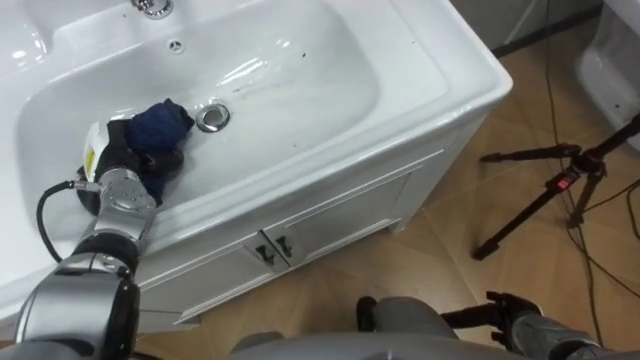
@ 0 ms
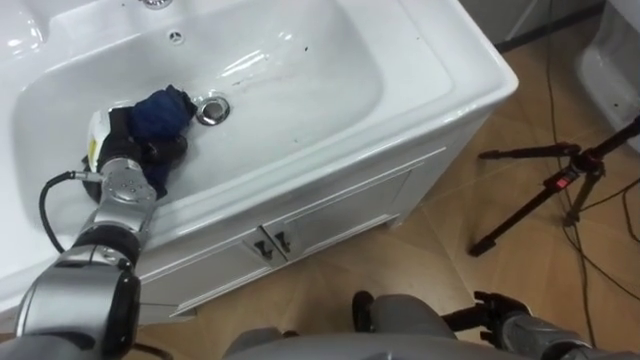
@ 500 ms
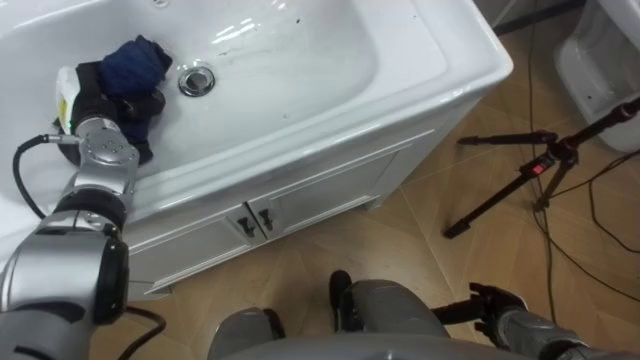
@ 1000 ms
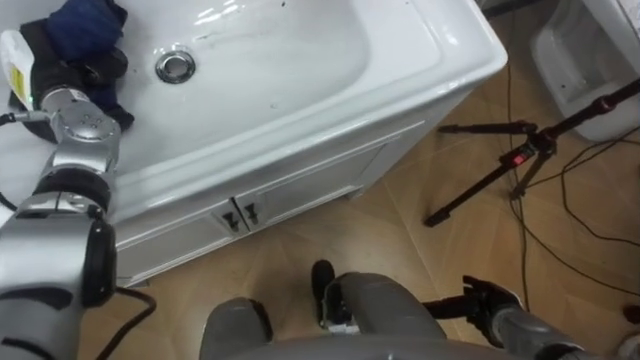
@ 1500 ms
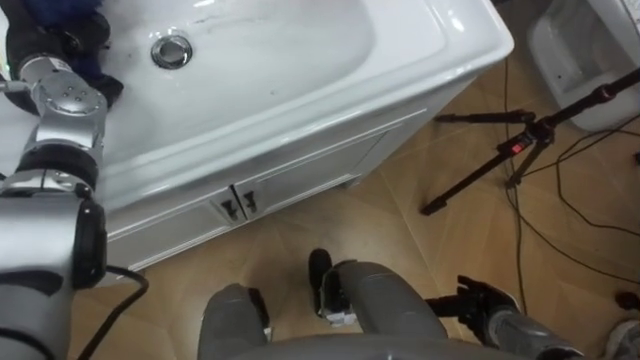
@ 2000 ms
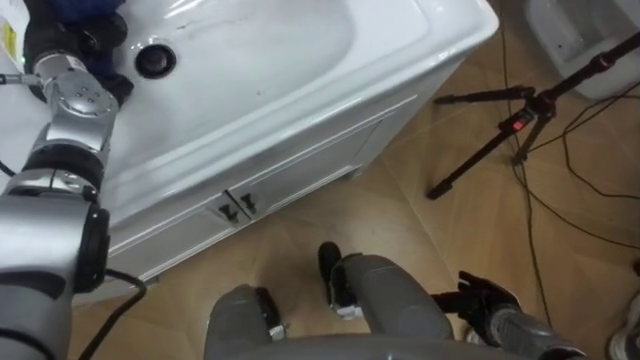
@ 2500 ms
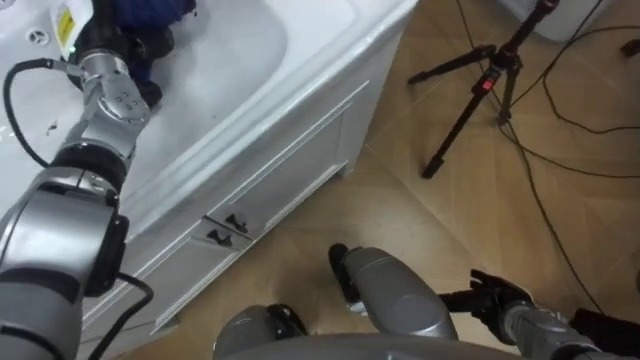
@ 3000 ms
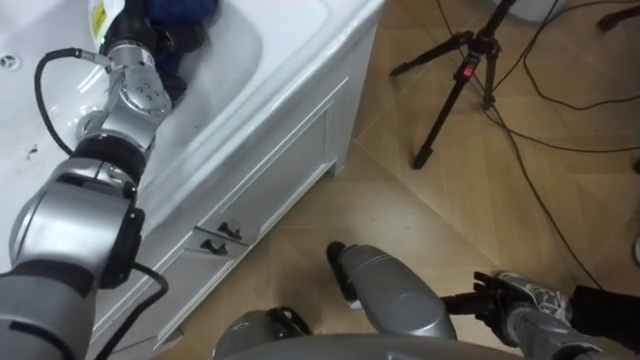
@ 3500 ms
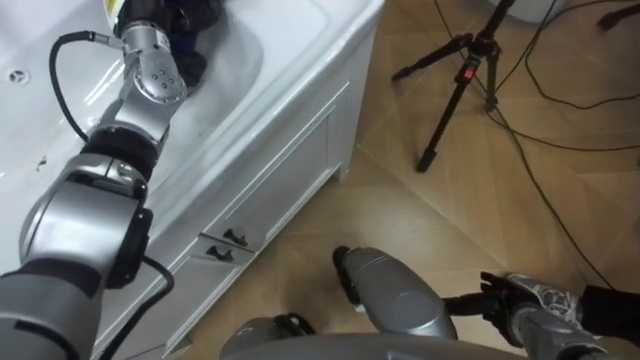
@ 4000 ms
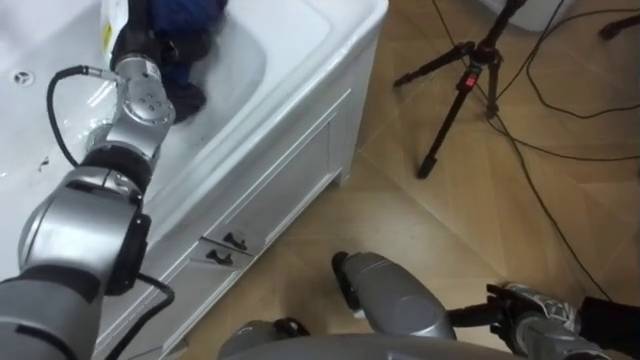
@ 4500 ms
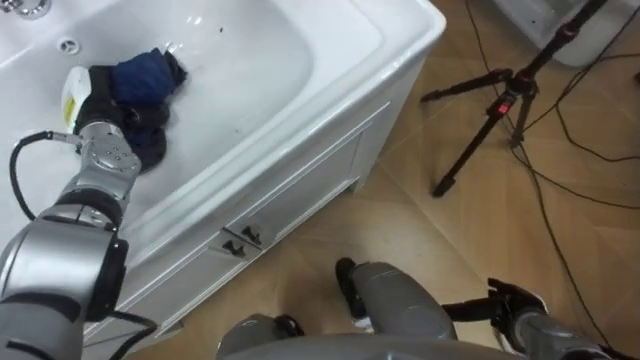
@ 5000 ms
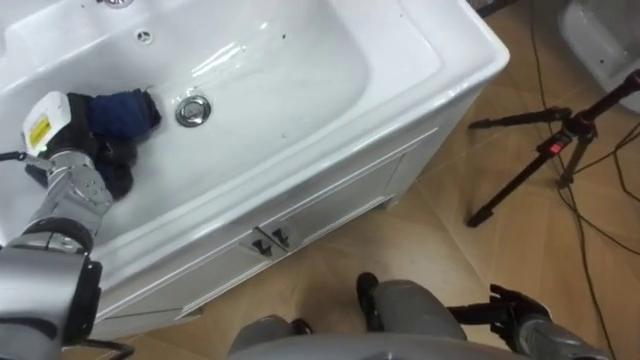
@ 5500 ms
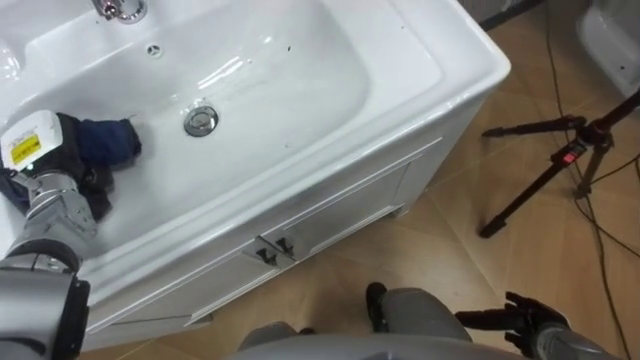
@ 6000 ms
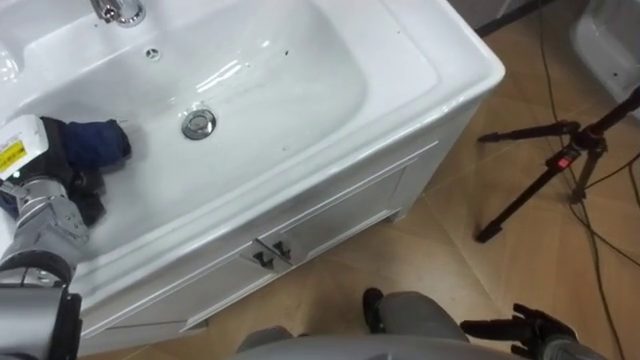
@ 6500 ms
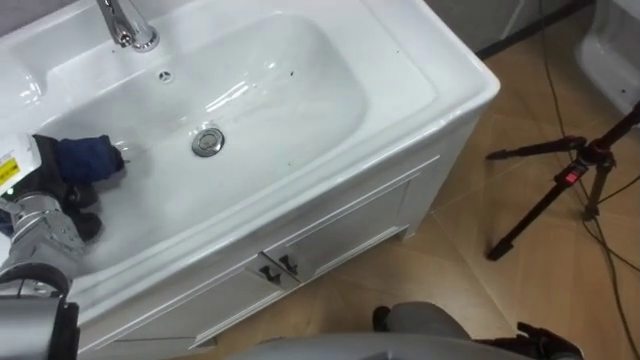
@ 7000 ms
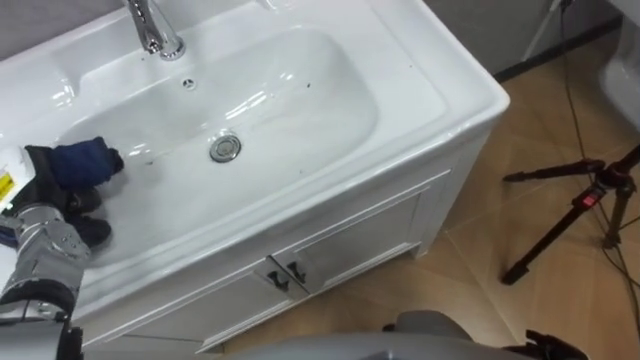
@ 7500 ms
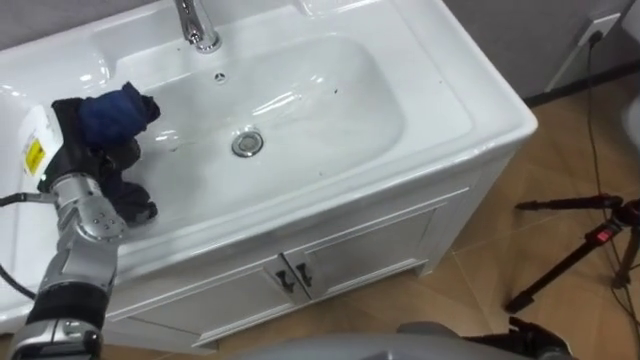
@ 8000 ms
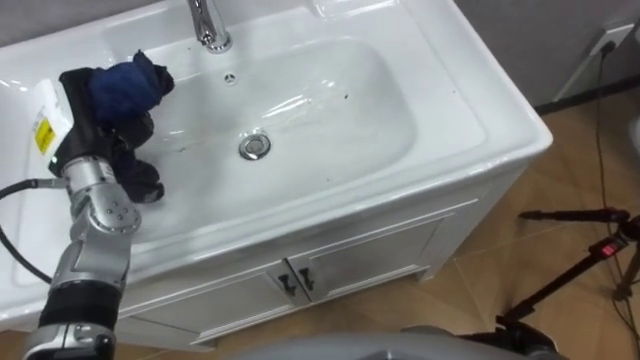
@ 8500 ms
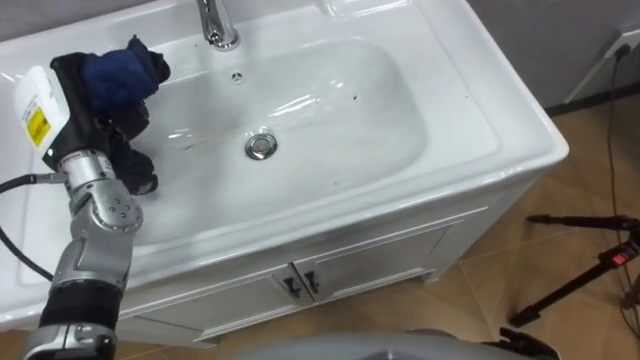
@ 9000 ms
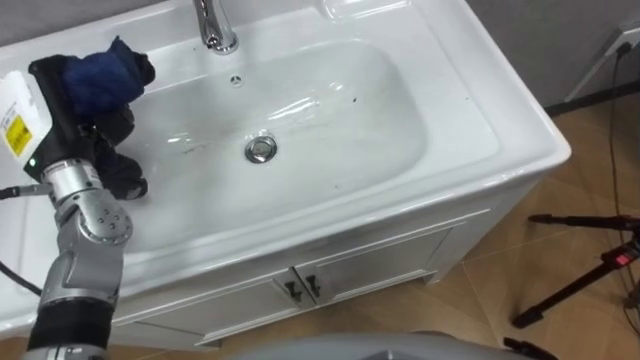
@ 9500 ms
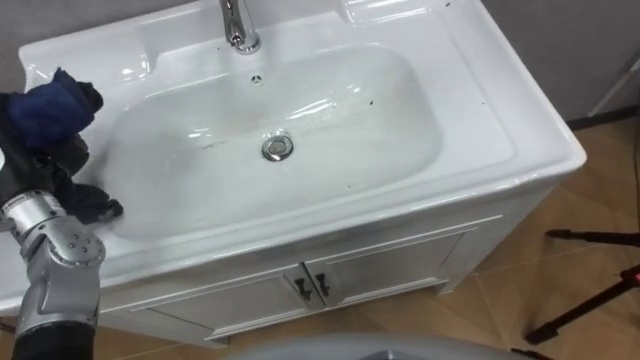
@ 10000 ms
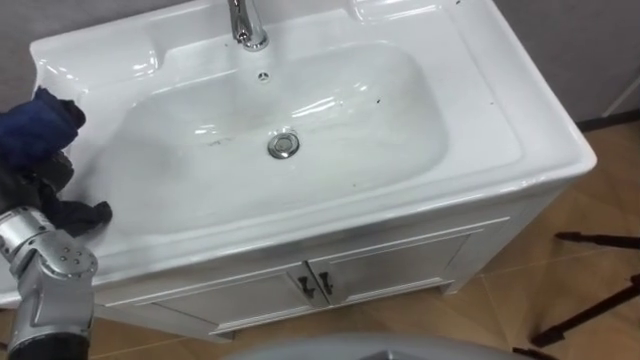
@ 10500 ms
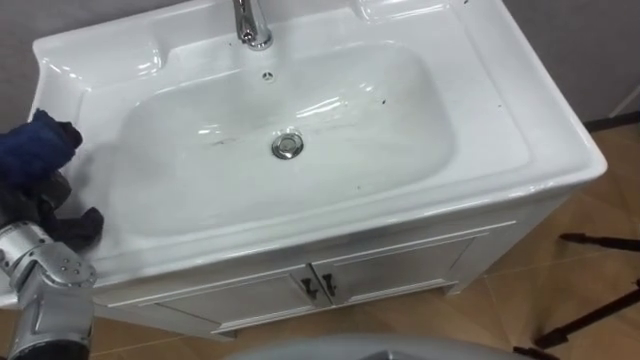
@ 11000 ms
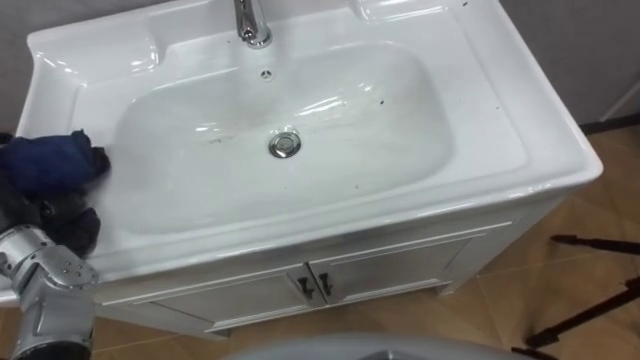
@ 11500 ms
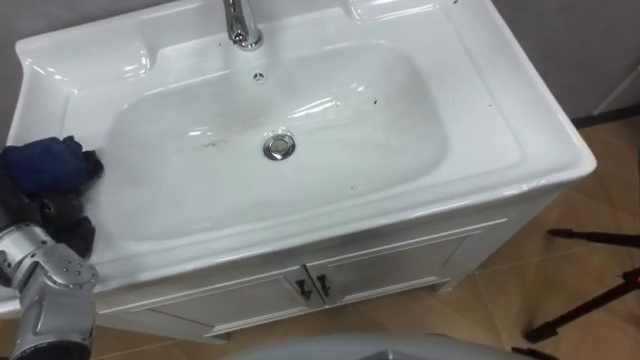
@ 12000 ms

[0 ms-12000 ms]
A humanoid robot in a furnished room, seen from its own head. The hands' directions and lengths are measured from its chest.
Task of the whole recording: Use the cloth on the right to wipe away the black stain in the sink.
0 ms to 2000 ms: The left hand is displaced upward and forward by approximately 15 cm.

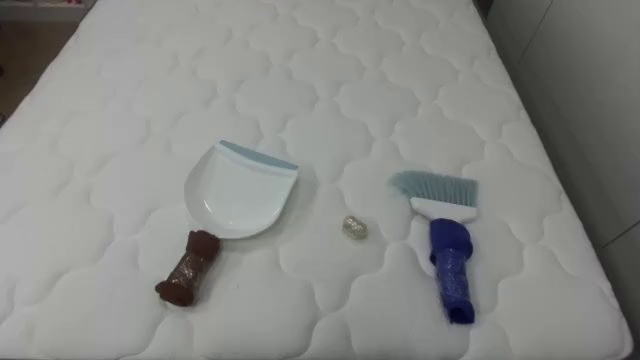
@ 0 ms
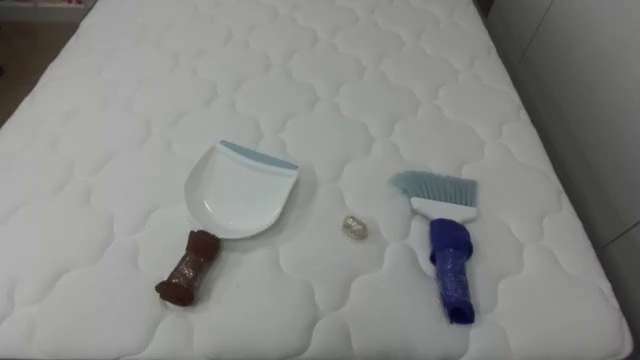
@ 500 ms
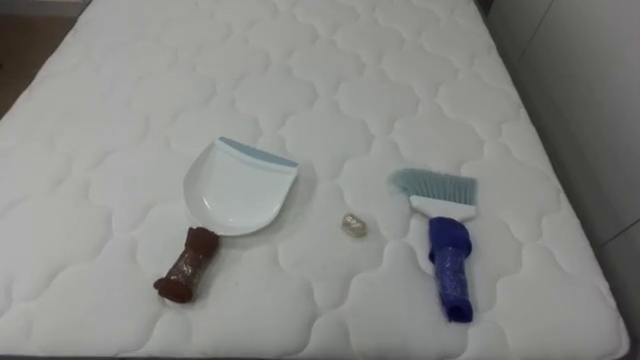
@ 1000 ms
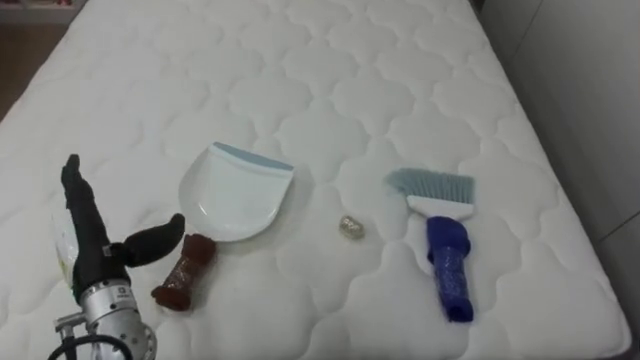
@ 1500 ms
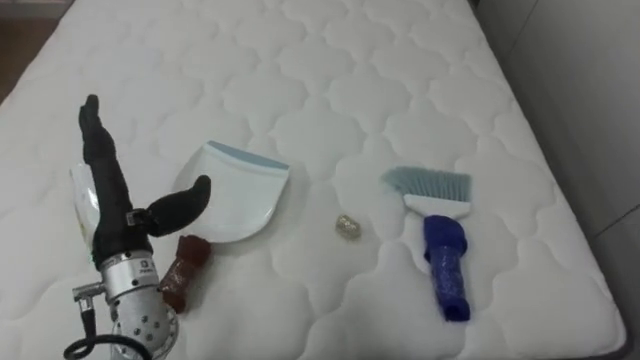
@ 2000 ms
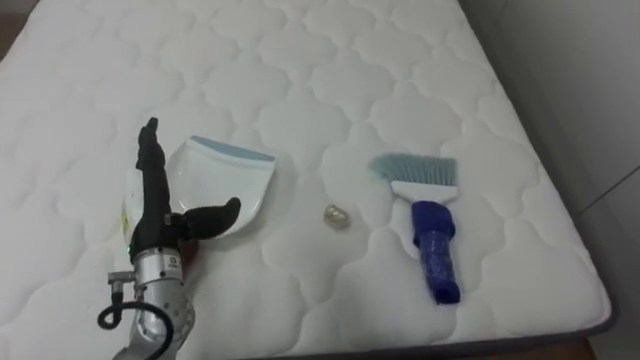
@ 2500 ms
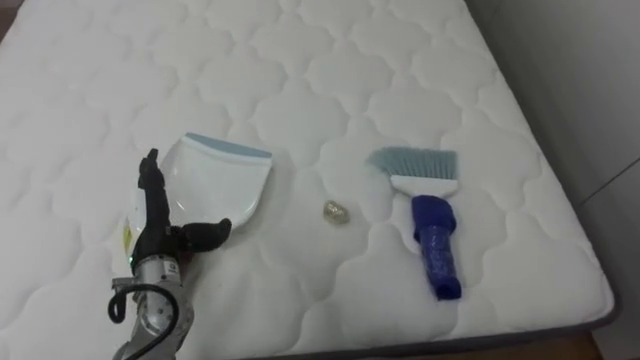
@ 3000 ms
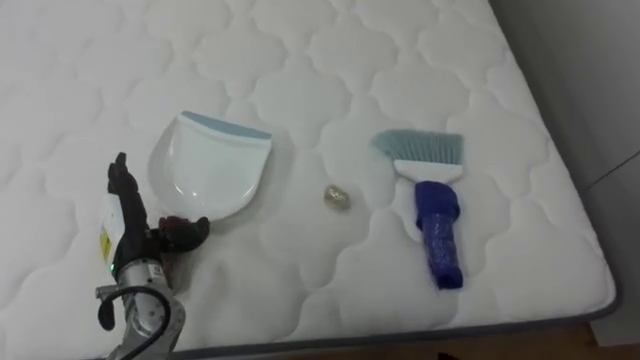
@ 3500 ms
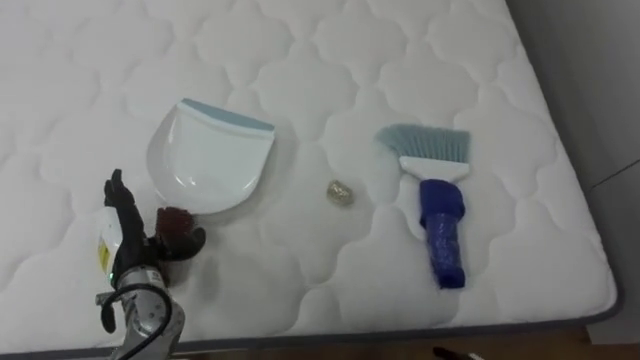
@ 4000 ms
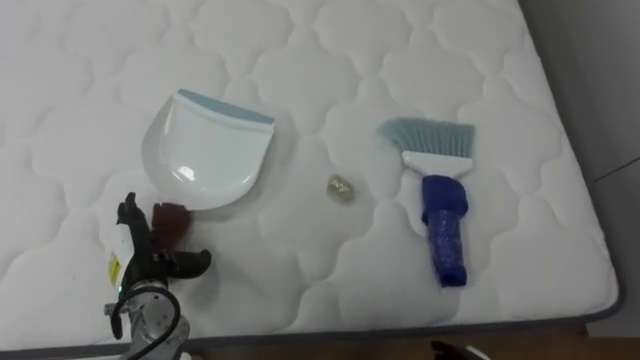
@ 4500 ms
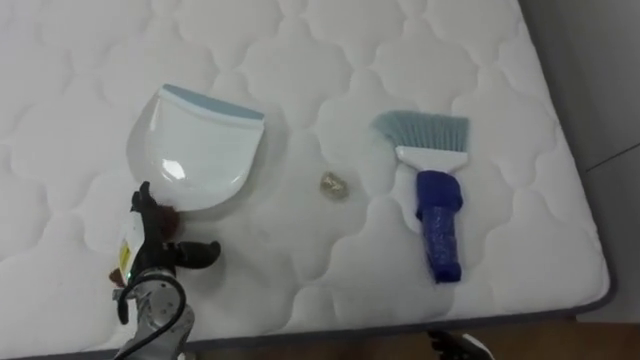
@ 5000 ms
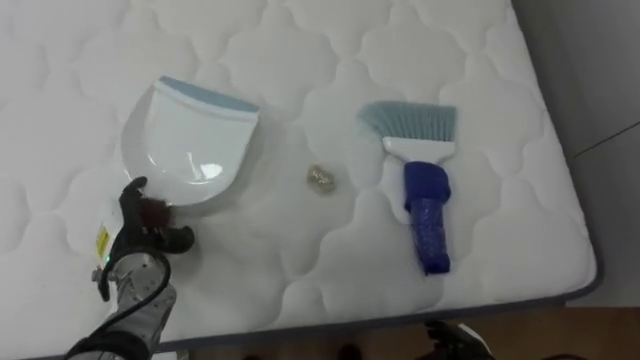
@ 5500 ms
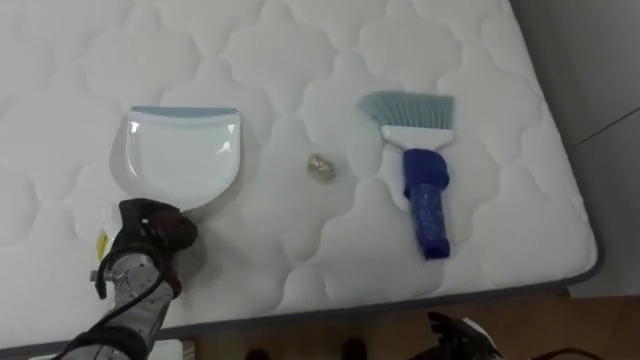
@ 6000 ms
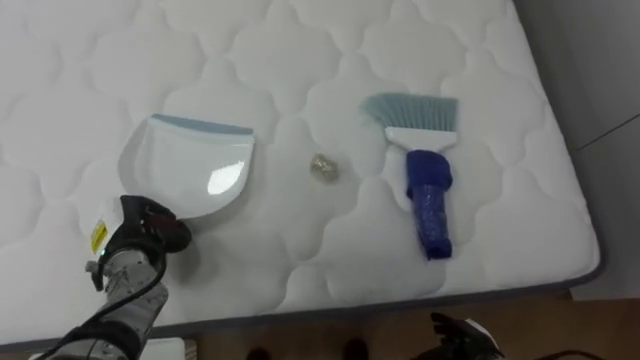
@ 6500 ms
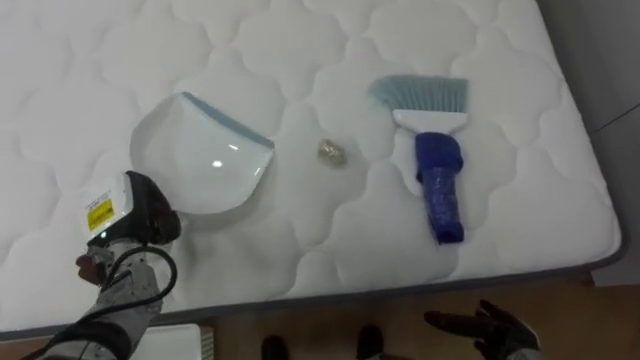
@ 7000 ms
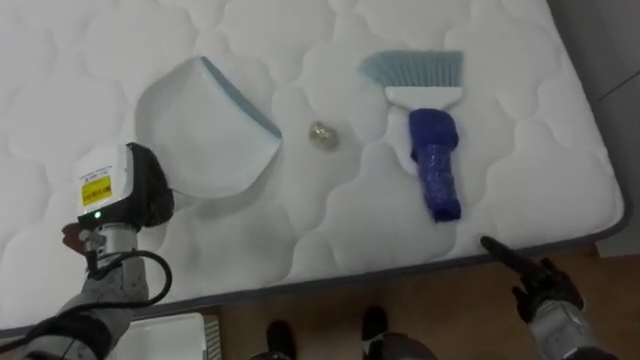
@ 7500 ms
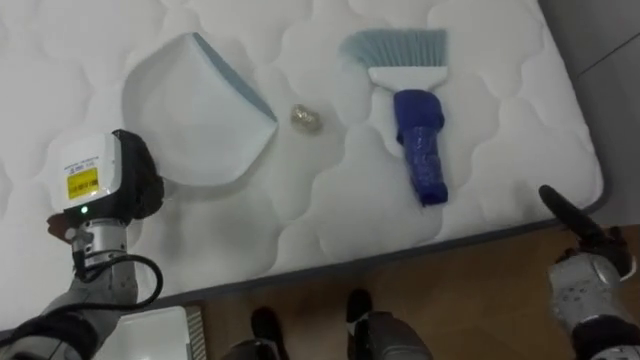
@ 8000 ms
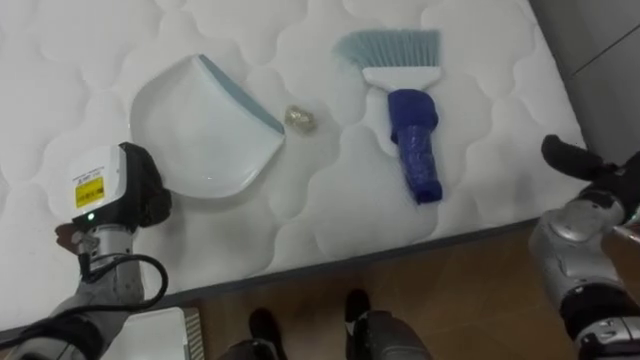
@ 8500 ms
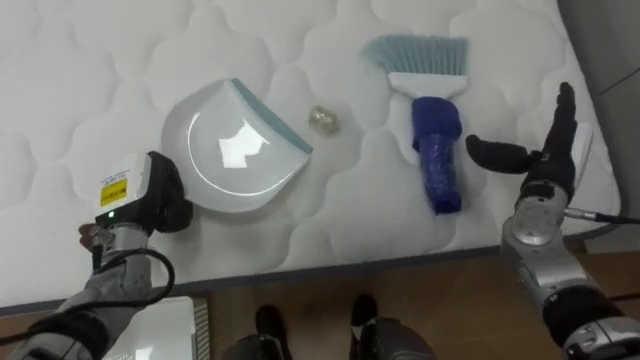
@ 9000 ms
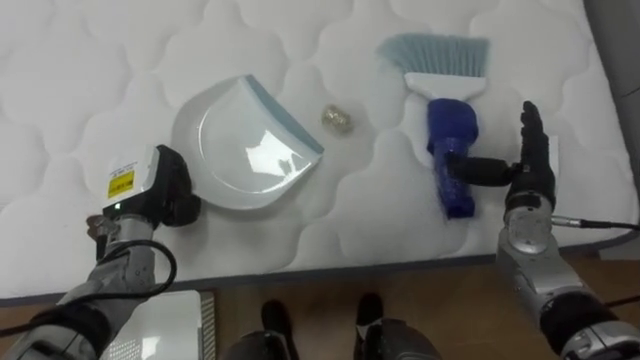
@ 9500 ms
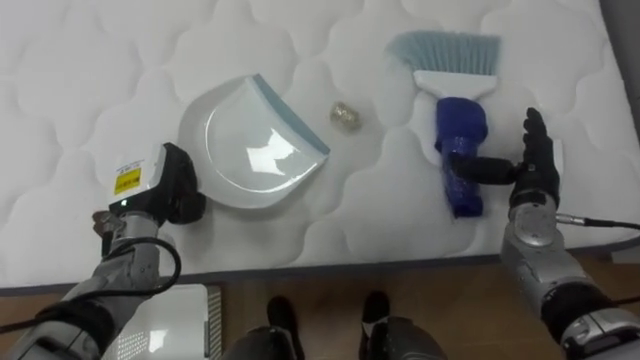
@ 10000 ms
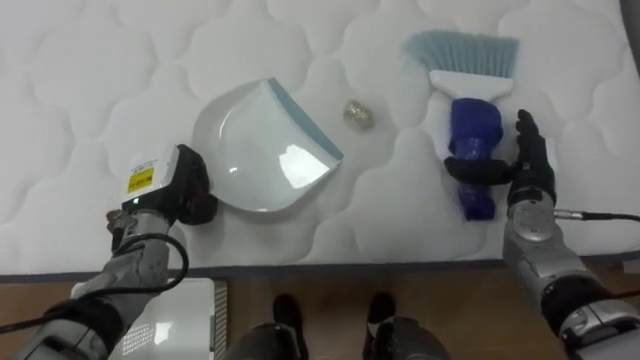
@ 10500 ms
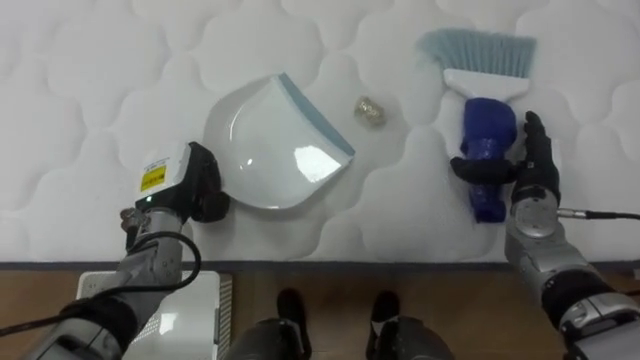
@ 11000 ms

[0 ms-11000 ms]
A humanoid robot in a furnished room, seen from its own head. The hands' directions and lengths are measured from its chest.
Task of the whole recording: Pick up the brush on your right and the dustpan on your left. Use the brush to sweep the crumpled paper on the bed into the dustpan, then turn left and empty it into the basket.
2000 ms to 3500 ms: The left hand goes about 10 cm downward.
5500 ms to 7500 ms: The left hand goes some 5 cm upward, and closes up.
7500 ms to 9000 ms: The right hand travels upward and forward by roughly 20 cm.
9000 ms to 11000 ms: The left hand ends up roughly 5 cm from where it was.
